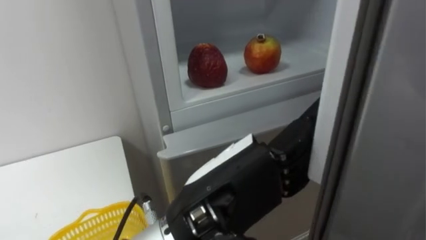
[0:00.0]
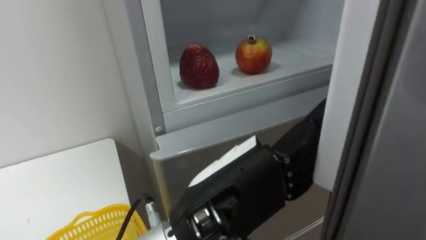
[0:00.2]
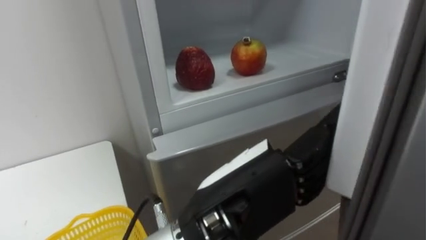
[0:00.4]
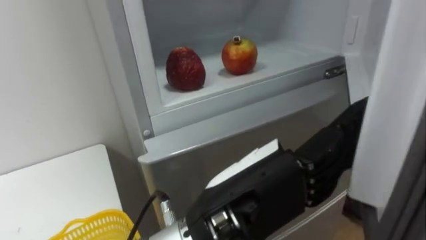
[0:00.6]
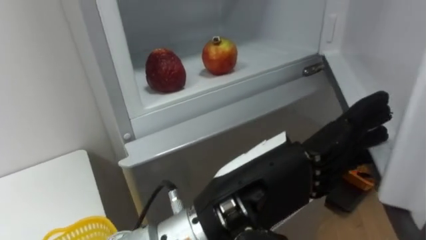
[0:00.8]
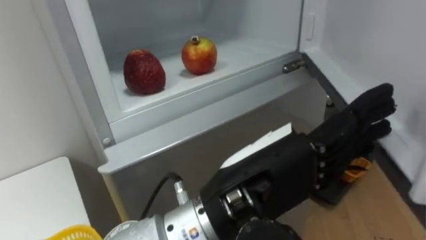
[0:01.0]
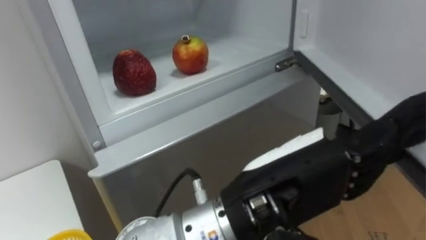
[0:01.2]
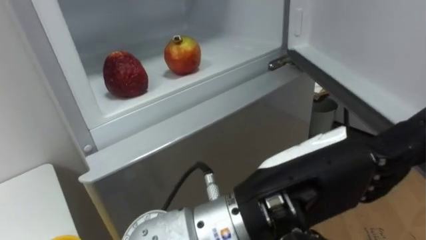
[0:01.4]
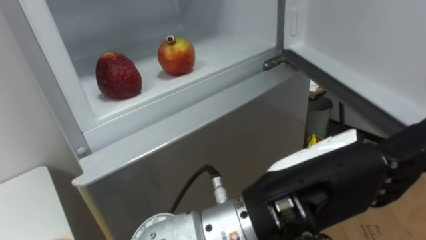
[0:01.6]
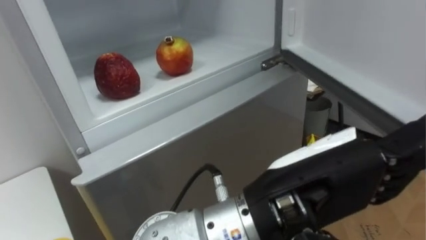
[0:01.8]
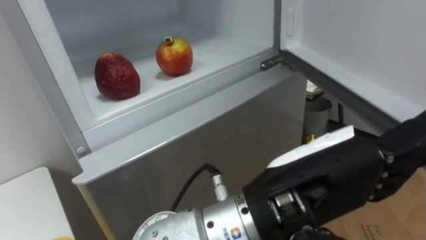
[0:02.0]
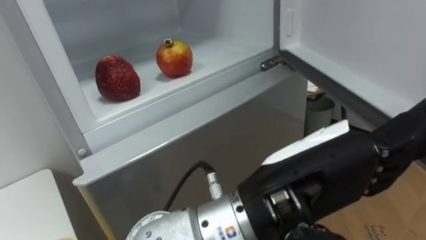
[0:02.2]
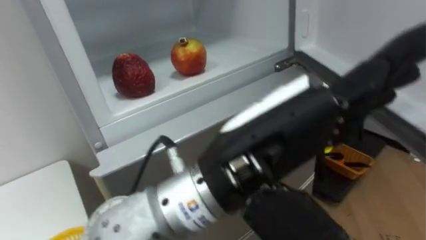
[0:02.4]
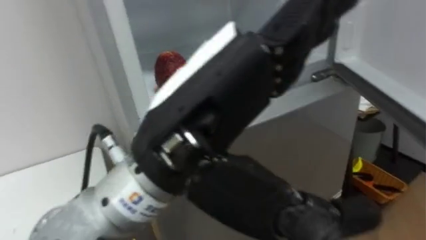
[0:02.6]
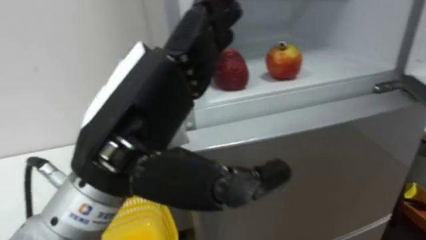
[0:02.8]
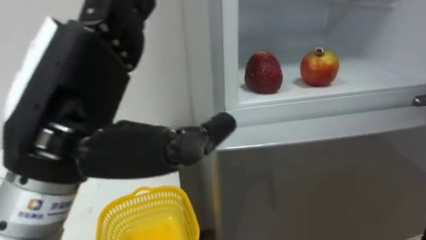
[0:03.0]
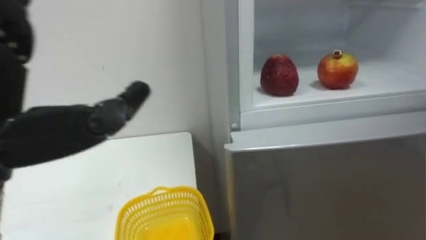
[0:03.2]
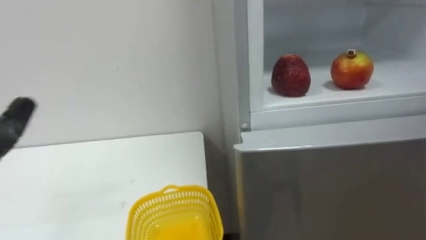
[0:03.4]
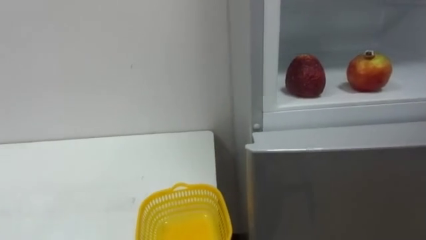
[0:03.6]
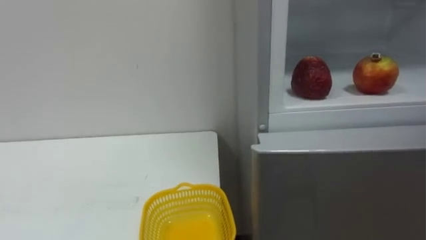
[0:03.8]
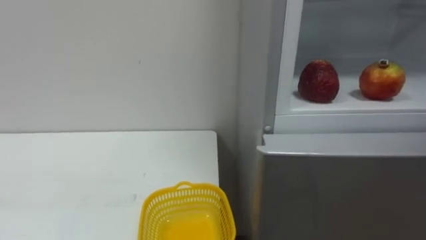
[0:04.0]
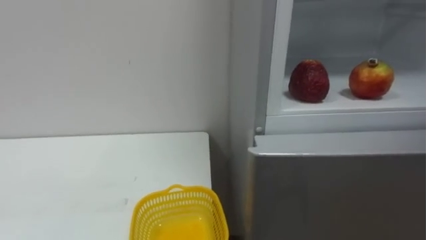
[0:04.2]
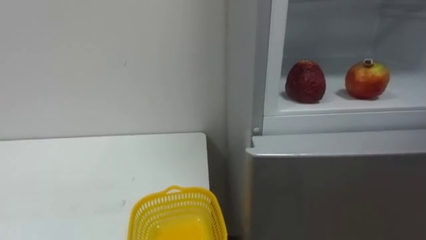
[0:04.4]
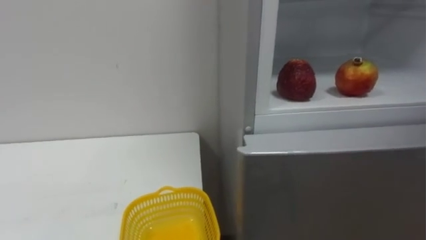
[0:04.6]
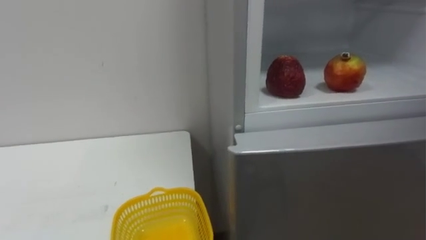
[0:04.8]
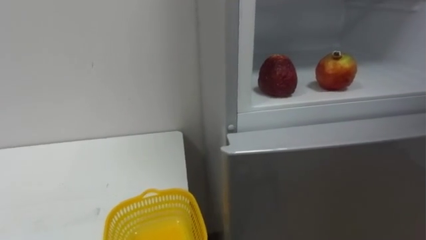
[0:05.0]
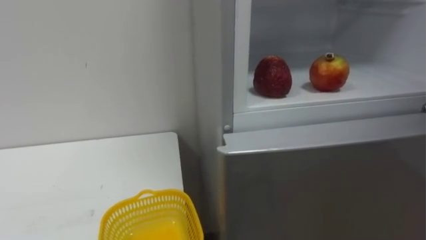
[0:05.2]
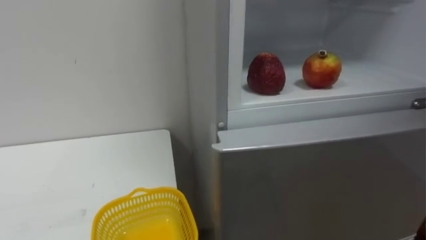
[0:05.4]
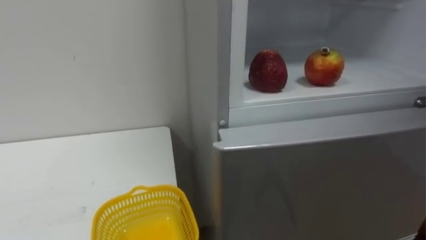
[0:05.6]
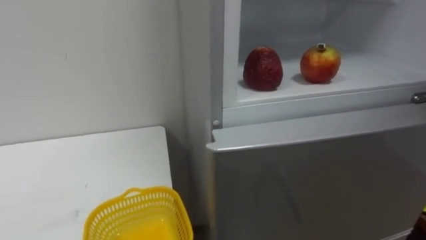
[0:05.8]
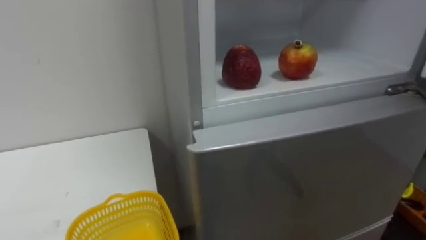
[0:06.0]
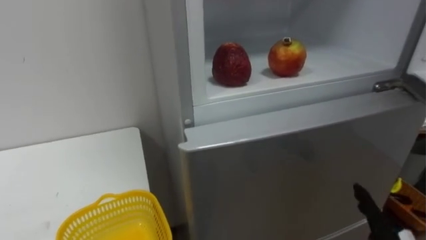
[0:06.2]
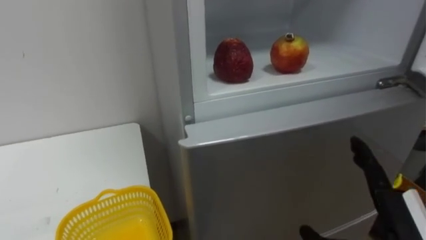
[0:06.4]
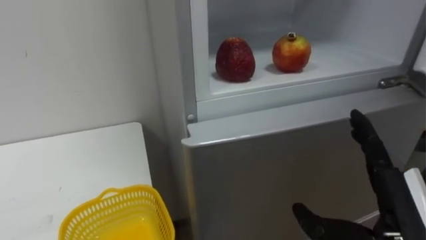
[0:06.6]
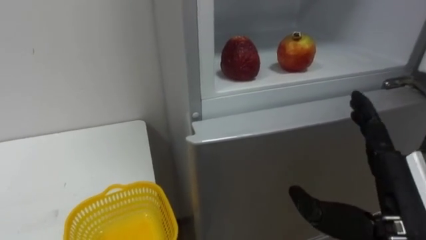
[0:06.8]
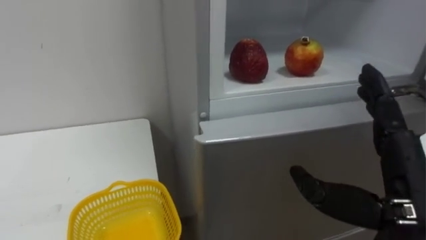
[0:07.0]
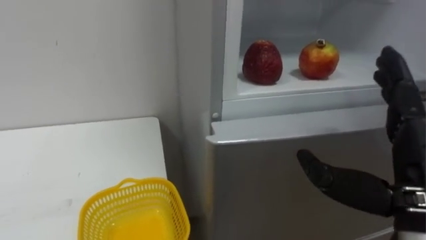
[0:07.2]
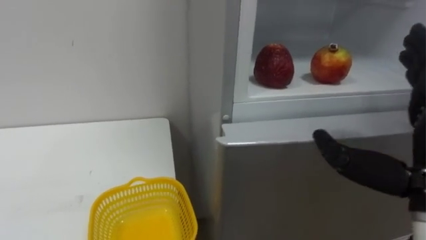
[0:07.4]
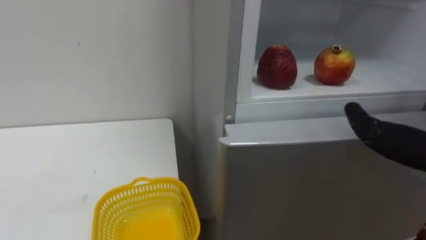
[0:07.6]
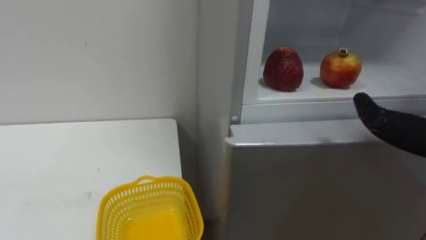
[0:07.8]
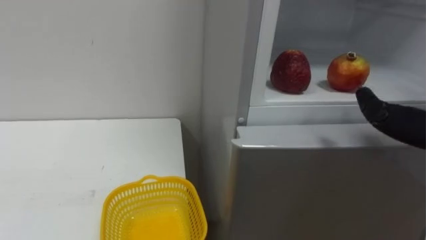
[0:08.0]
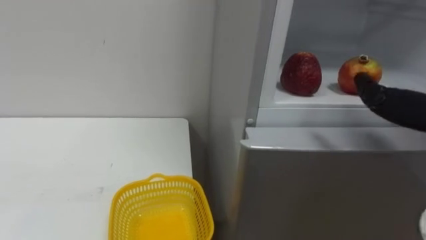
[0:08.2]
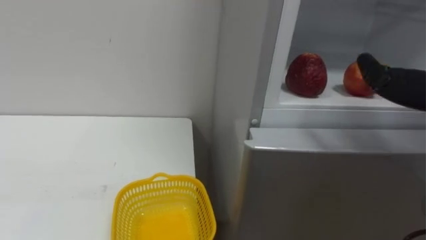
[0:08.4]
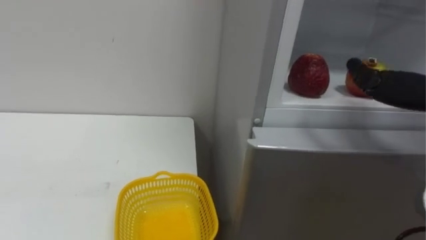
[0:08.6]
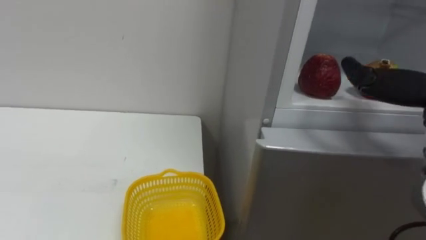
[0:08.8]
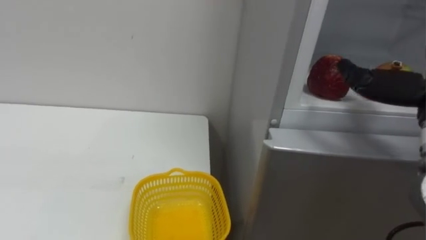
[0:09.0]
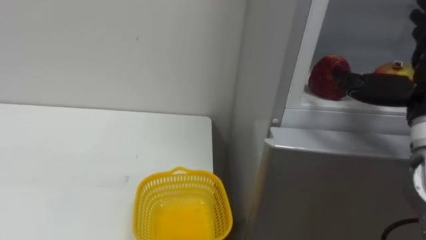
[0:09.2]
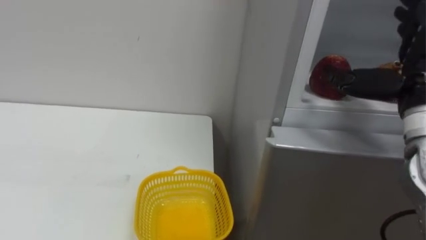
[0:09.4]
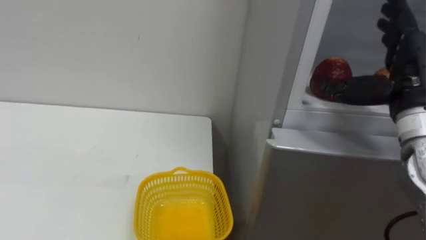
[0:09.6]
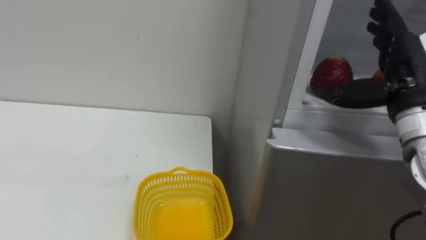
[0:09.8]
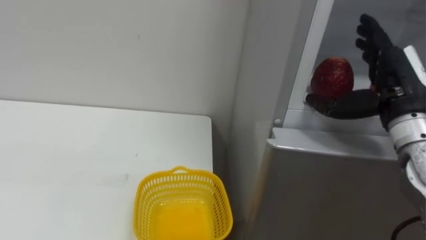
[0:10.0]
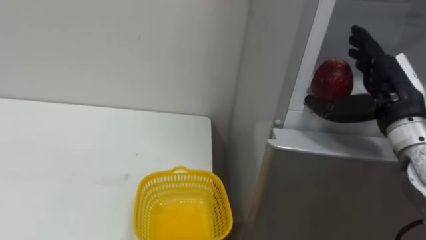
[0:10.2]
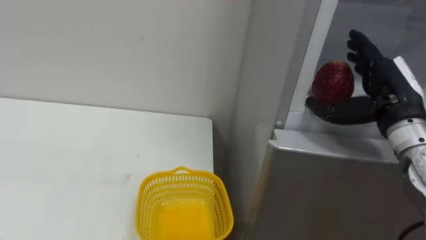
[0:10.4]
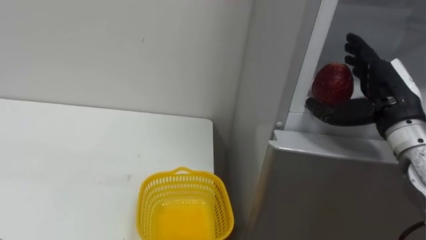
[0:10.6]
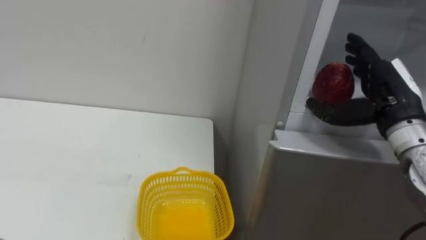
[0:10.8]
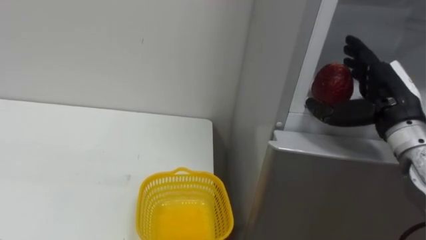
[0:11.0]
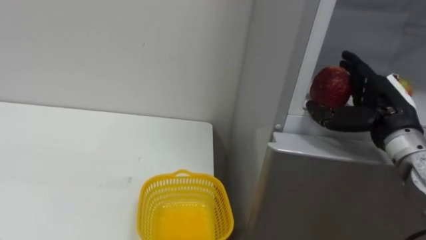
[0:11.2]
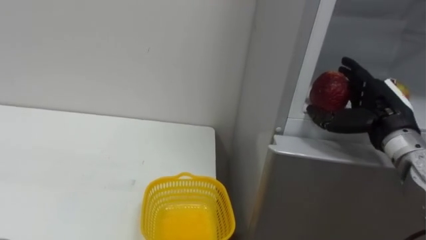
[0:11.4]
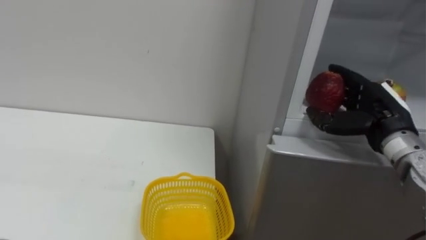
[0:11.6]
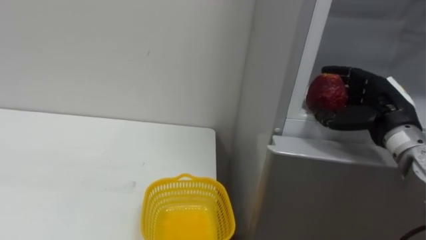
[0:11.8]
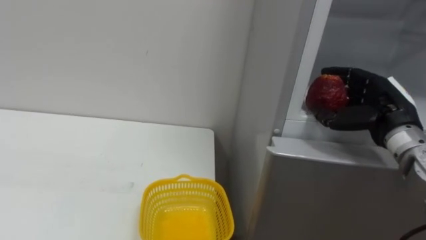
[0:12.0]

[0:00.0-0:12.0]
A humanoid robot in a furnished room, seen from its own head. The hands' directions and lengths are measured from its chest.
Task of the whole recording: Open the refrigerator door, take out the apple and the pomegranate, place them in the fruit basket on the left, and close the refrigerator door.
0.0 to 1.6 s: The left hand is displaced to the right by about 5 cm.
1.6 to 3.0 s: The left hand is displaced to the left by some 20 cm.
10.4 to 12.0 s: The right hand closes.

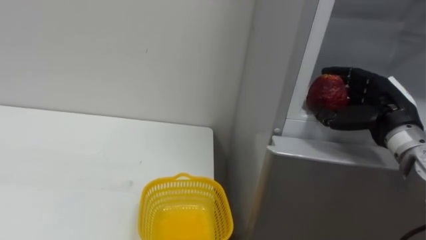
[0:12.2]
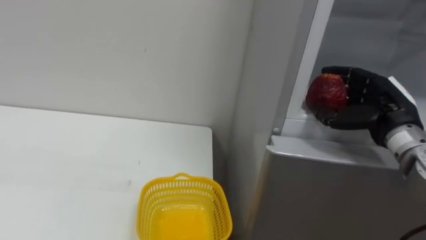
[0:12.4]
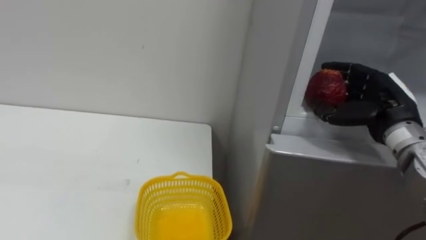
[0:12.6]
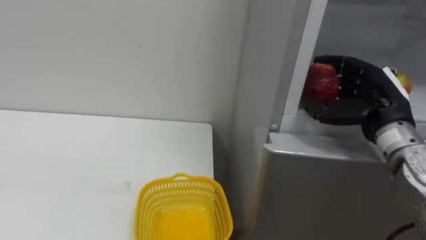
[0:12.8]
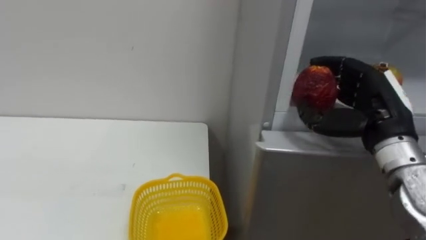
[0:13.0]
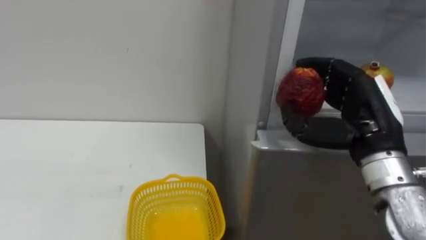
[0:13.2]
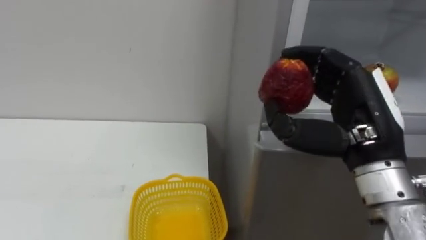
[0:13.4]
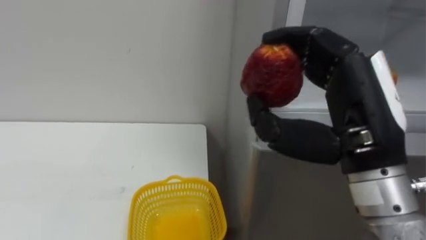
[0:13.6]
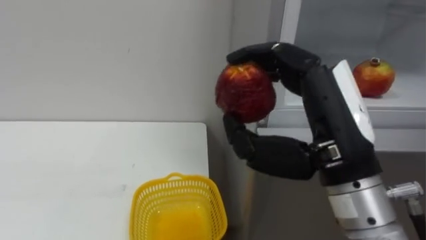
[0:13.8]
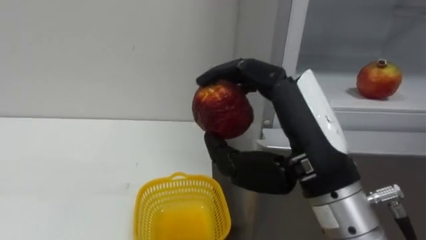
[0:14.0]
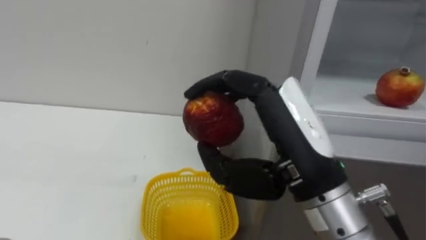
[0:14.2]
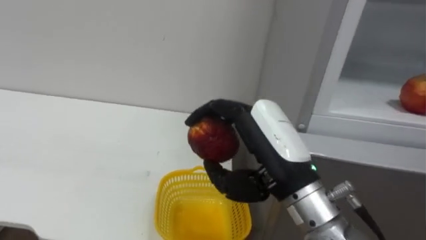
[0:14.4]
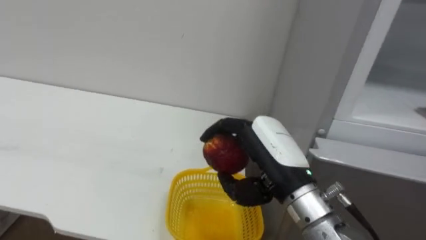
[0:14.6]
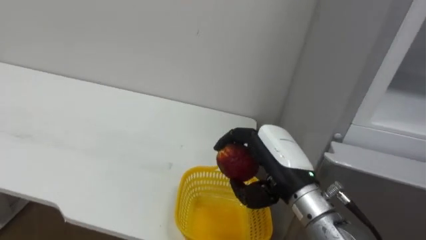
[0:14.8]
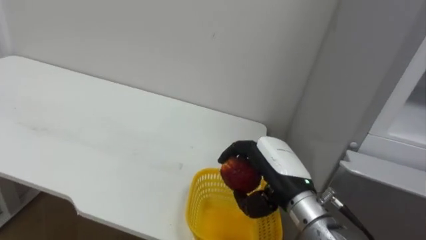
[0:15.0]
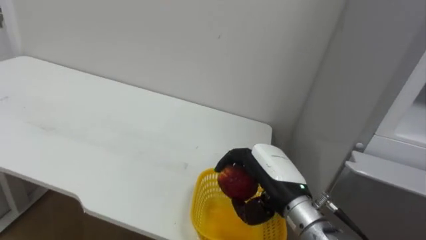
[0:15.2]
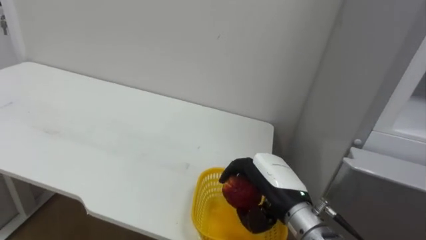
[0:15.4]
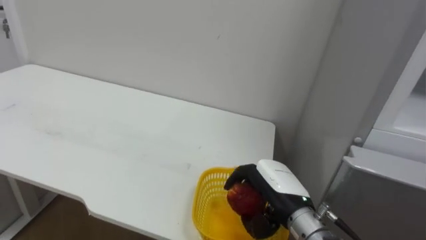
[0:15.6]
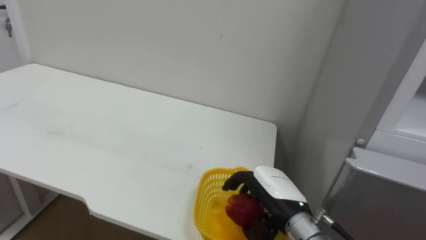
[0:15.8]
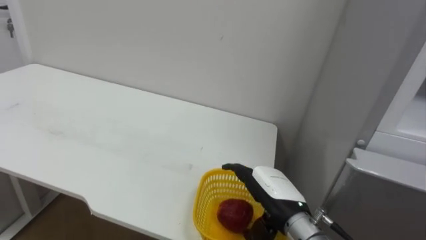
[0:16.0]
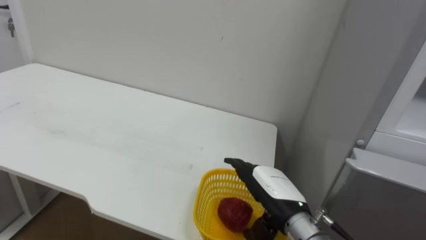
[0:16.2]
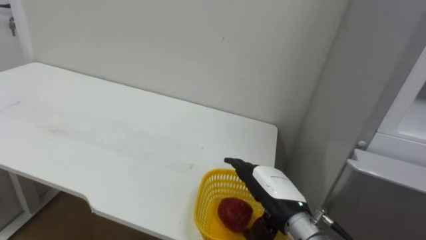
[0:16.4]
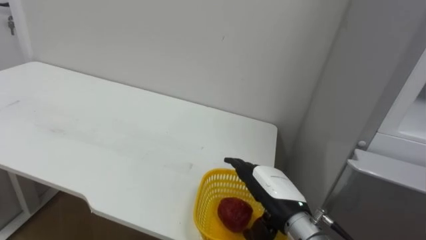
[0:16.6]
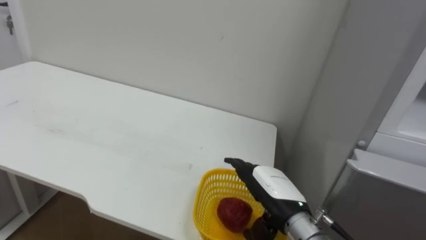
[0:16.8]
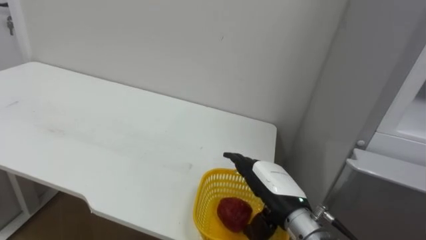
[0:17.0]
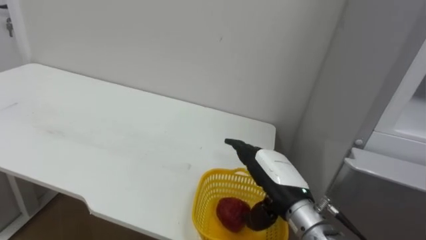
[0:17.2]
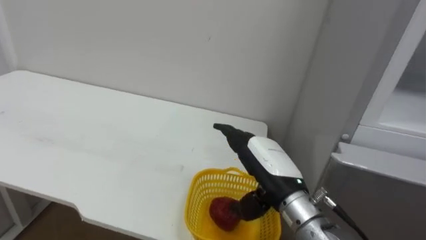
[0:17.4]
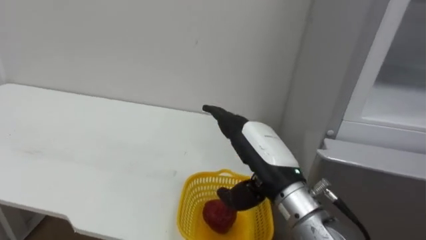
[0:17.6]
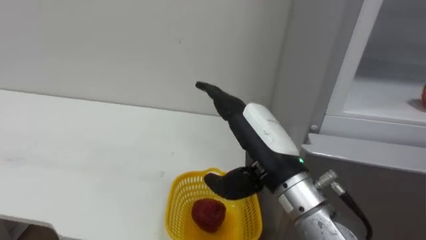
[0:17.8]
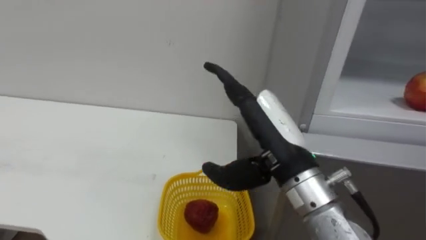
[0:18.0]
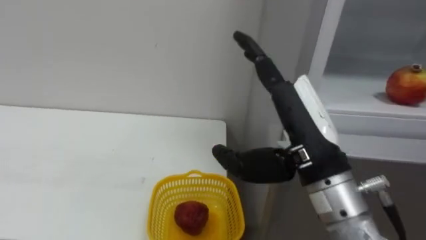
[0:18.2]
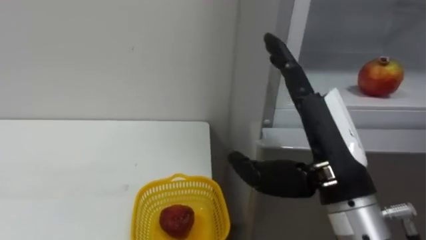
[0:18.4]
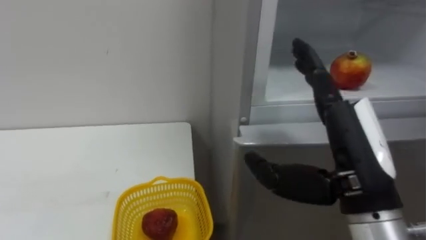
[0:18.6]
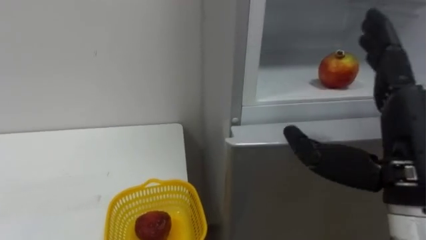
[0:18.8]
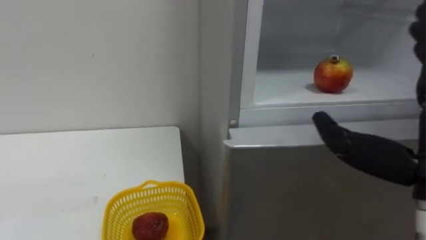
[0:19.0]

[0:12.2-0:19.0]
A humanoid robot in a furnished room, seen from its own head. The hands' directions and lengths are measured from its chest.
Task of the whole recording: Open the refrigerator door, take out the apple and the pomegranate, place them in the fruit basket on the left, and close the refrigerator door.
12.2 to 13.6 s: The right hand goes some 20 cm backward, to the left and upward.
13.6 to 15.0 s: The right hand is displaced downward and forward by roughly 15 cm.
15.0 to 16.2 s: The right hand travels downward by roughly 5 cm, and opens up.
16.2 to 17.6 s: The right hand goes about 10 cm upward.
17.6 to 19.0 s: The right hand heads to the right, backward and upward, covering some 20 cm.
